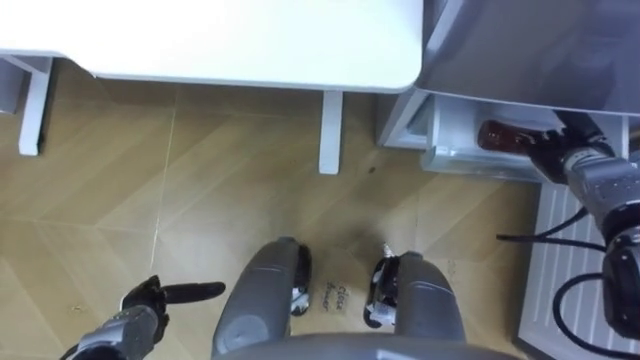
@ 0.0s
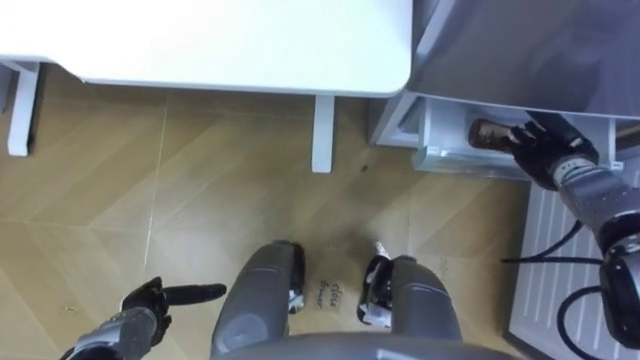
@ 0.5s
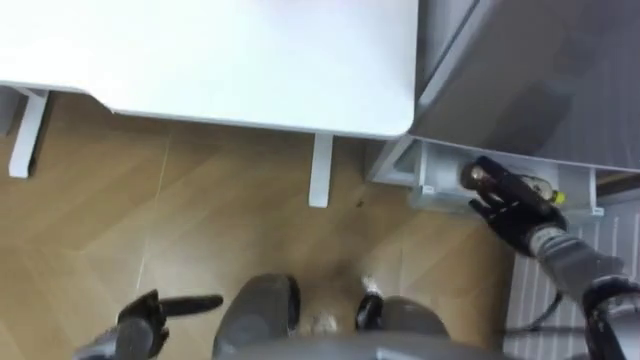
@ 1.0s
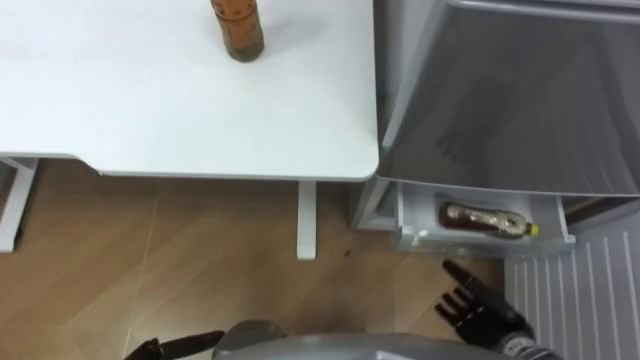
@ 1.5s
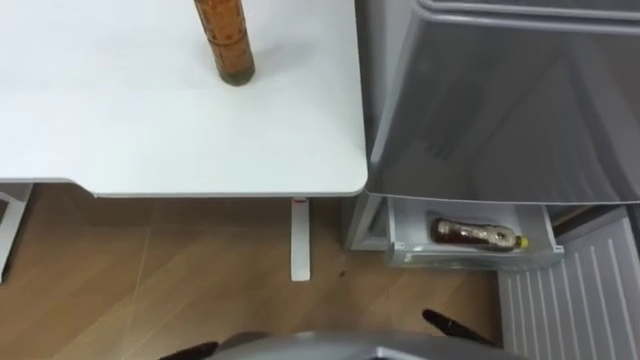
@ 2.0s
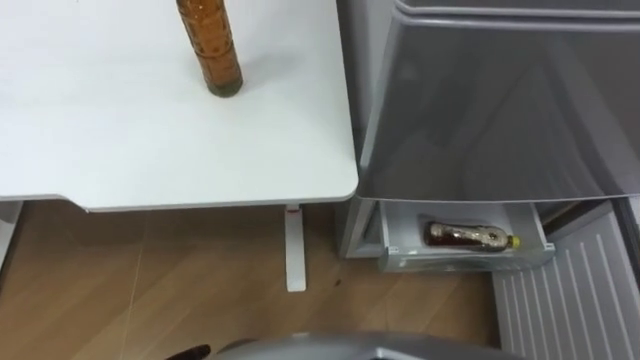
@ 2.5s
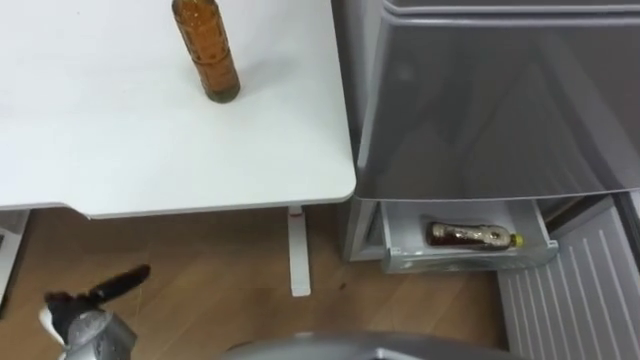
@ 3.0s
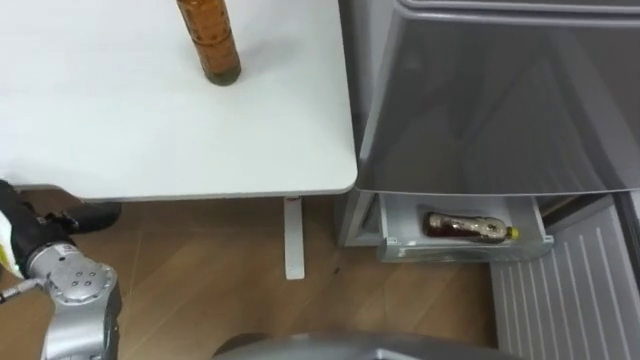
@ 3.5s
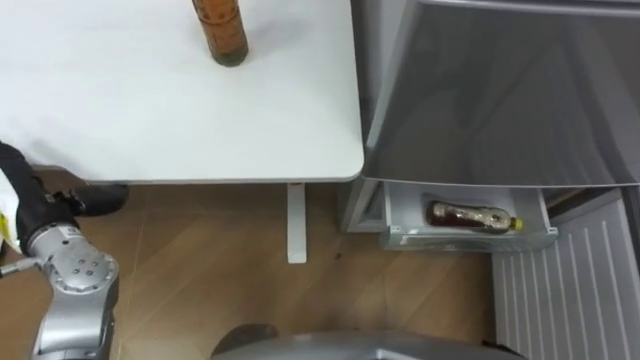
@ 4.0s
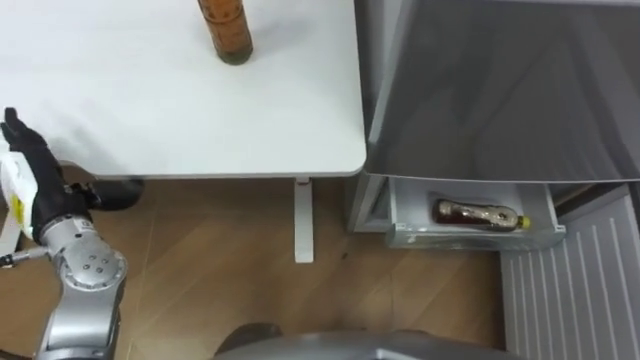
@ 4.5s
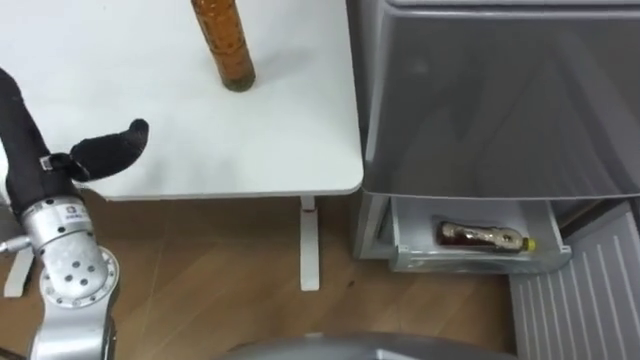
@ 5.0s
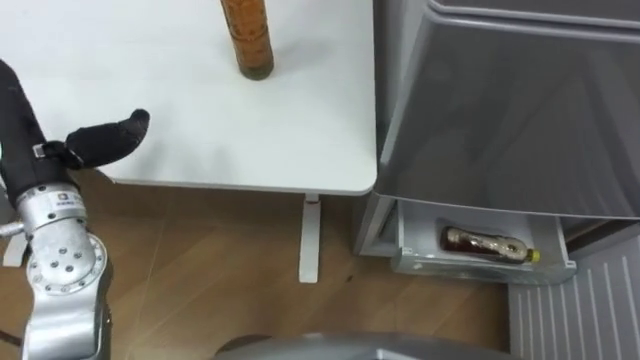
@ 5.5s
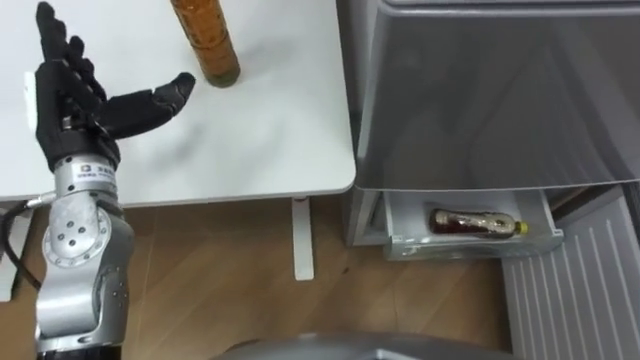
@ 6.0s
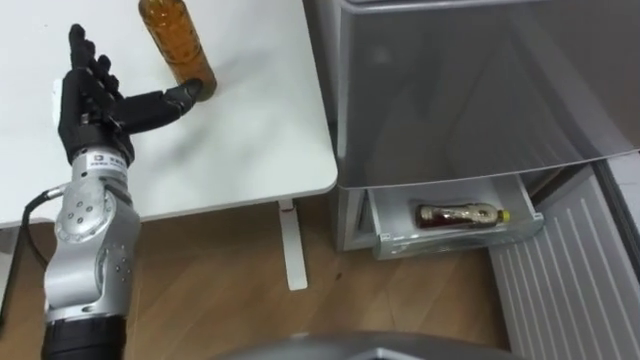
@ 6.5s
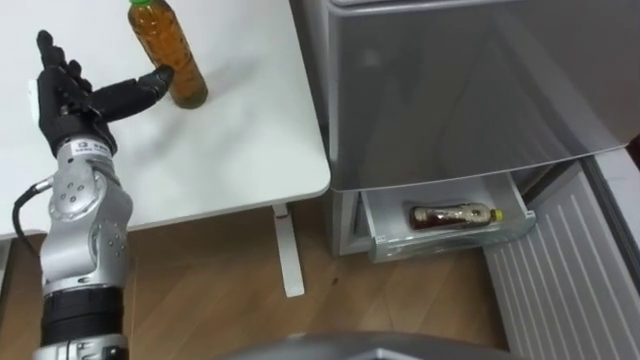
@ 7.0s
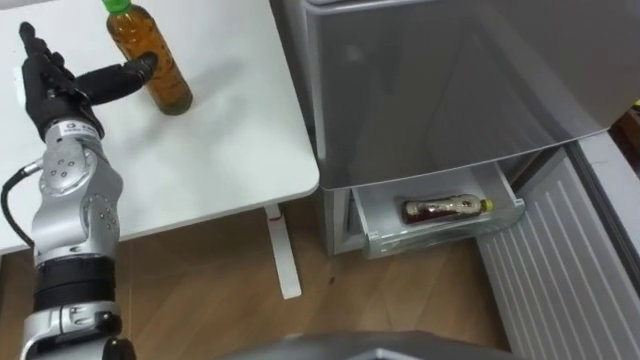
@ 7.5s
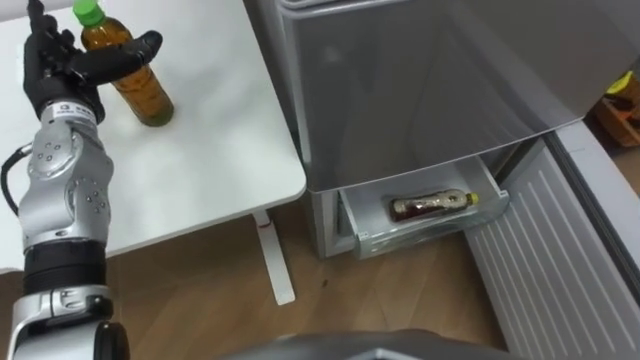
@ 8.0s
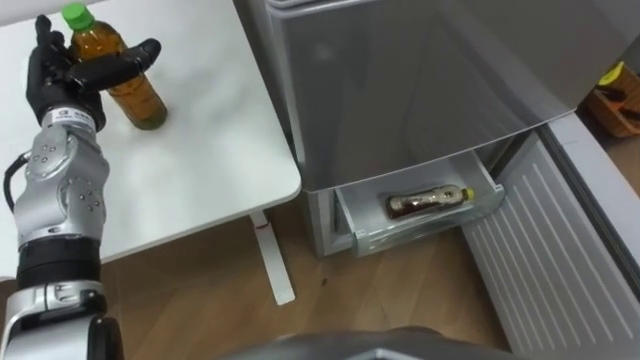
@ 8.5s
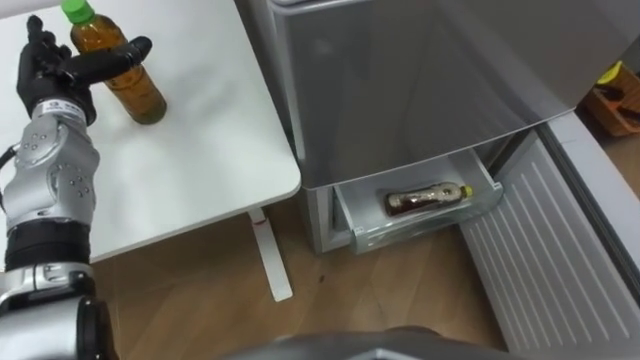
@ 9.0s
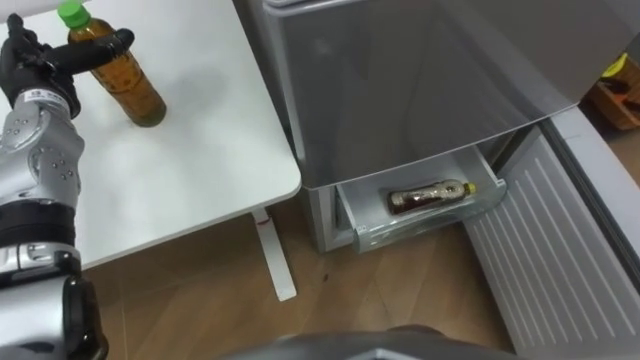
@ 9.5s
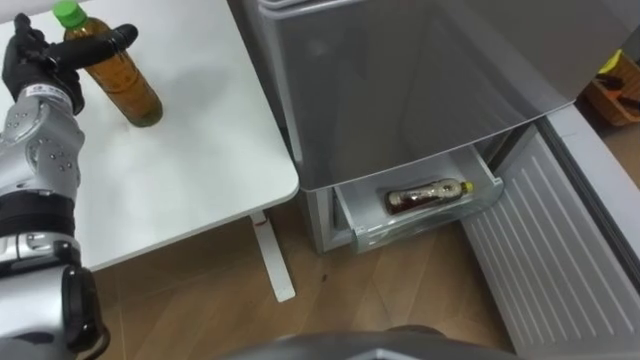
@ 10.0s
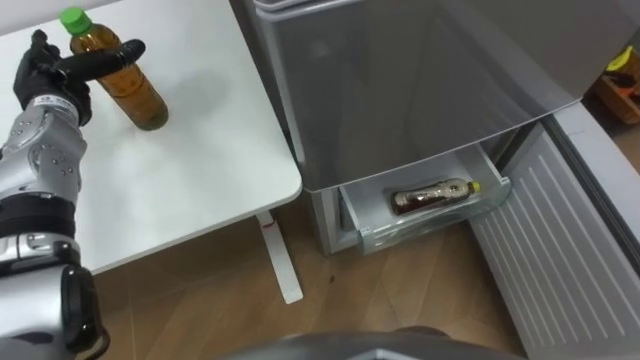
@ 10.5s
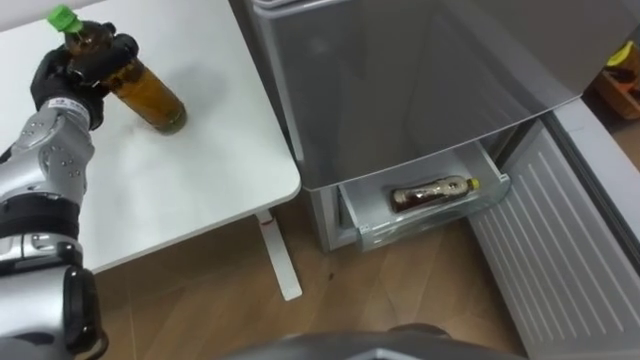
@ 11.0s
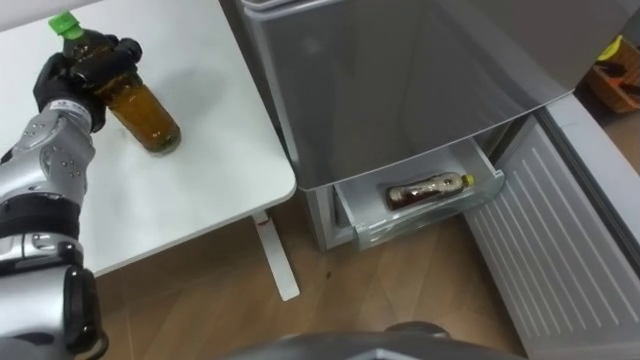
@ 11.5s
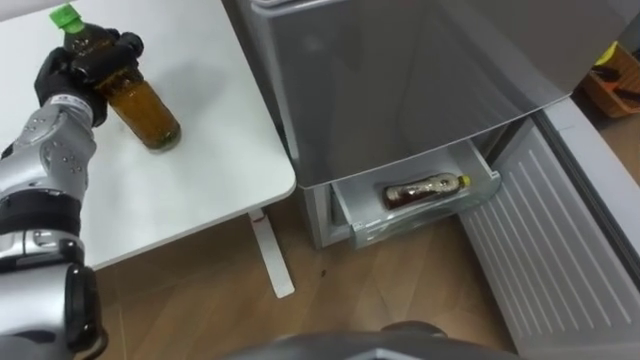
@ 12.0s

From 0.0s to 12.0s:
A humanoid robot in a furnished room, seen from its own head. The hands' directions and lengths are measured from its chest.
Task of the whole recording: Place the drink on the table on the bottom shelf of the refrigerator, then close the drawer and the refrigerator door.
From 4.0s to 6.0s: The left hand shifts roughly 15 cm upward, to the right and forward.
From 6.0s to 8.0s: The left hand heads forward, covering approximately 5 cm.
From 10.0s to 12.0s: The left hand closes its fingers.

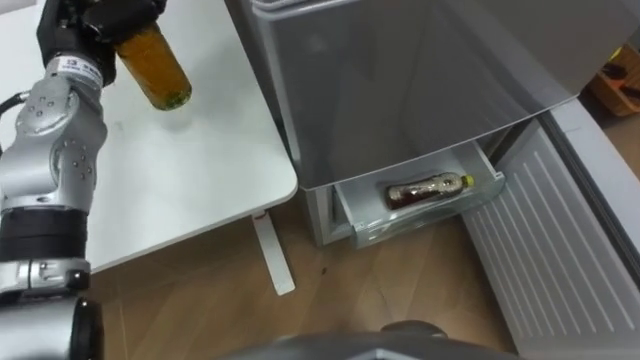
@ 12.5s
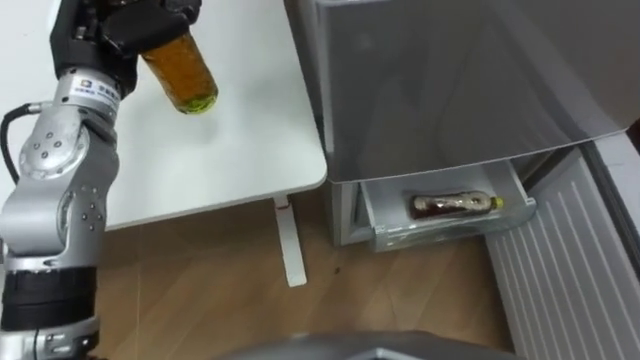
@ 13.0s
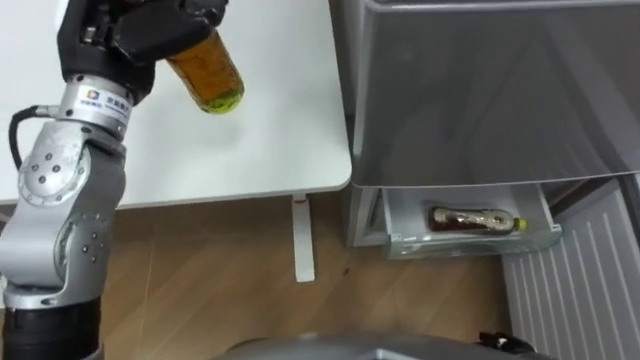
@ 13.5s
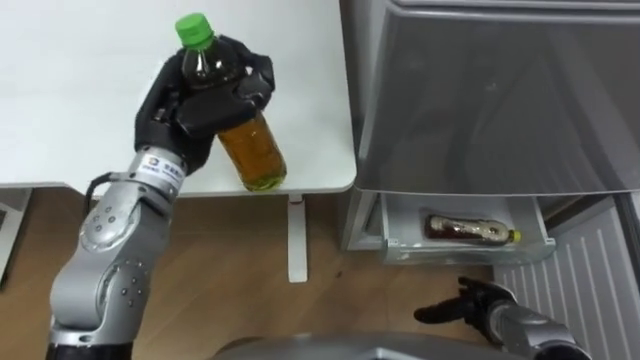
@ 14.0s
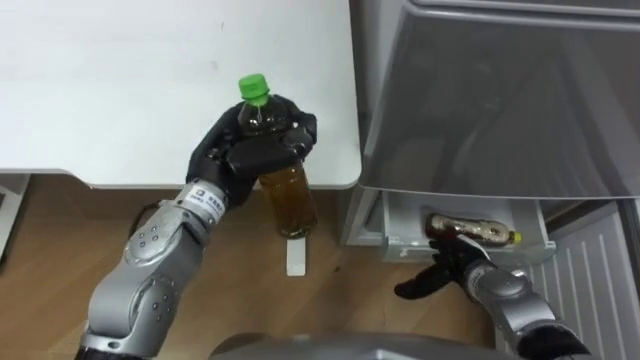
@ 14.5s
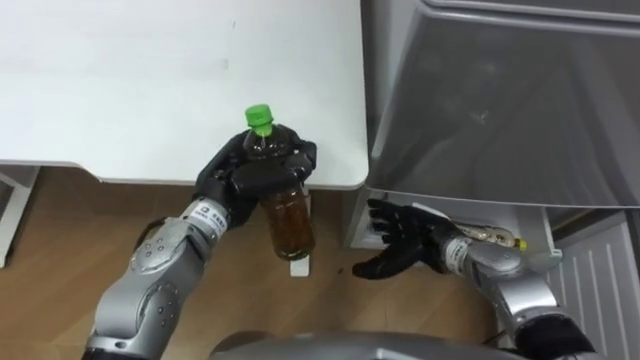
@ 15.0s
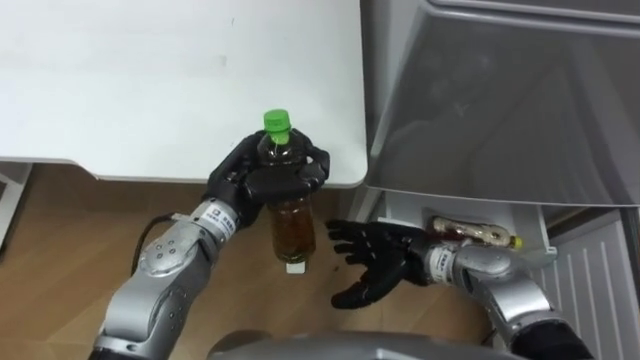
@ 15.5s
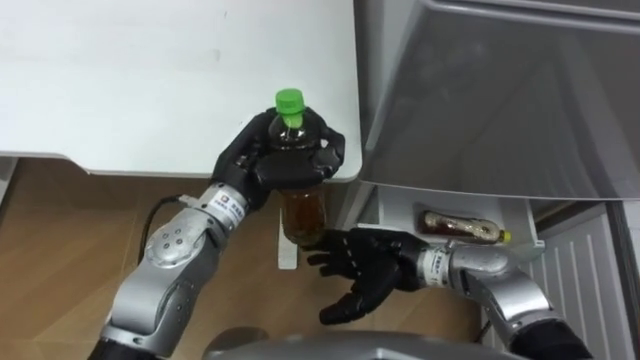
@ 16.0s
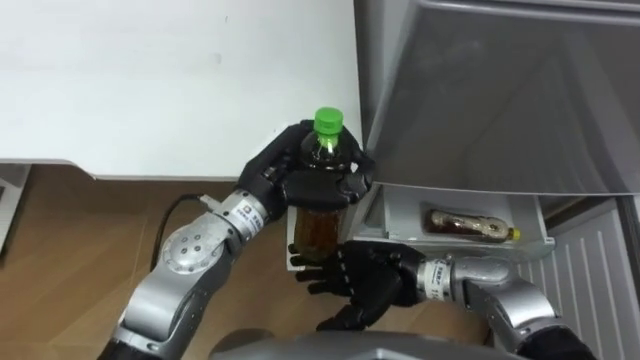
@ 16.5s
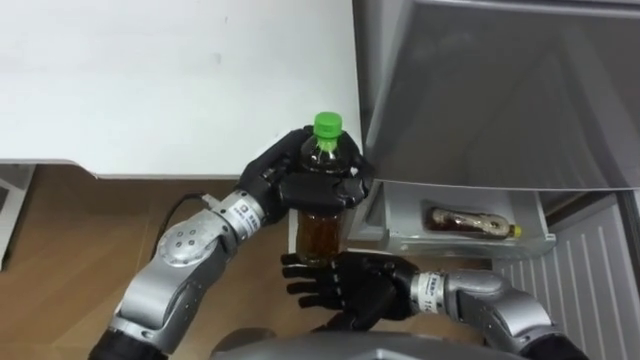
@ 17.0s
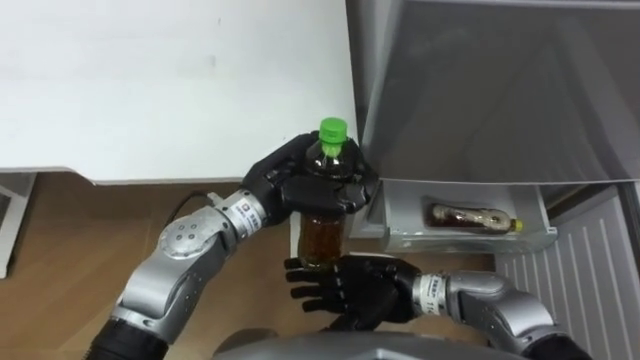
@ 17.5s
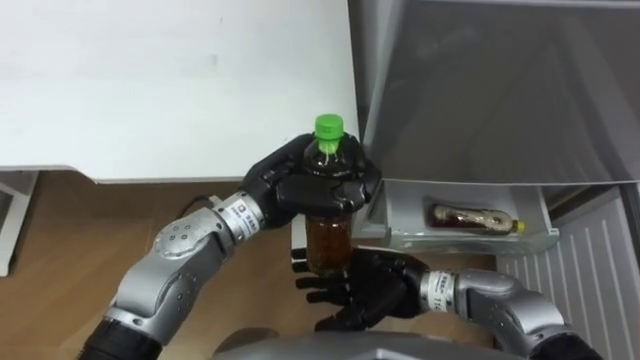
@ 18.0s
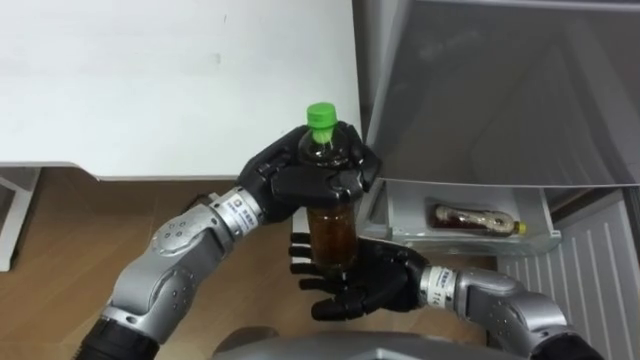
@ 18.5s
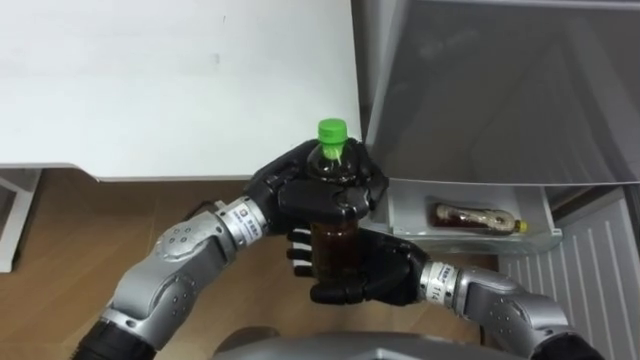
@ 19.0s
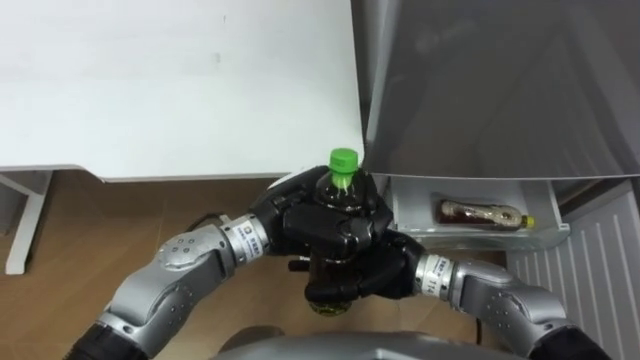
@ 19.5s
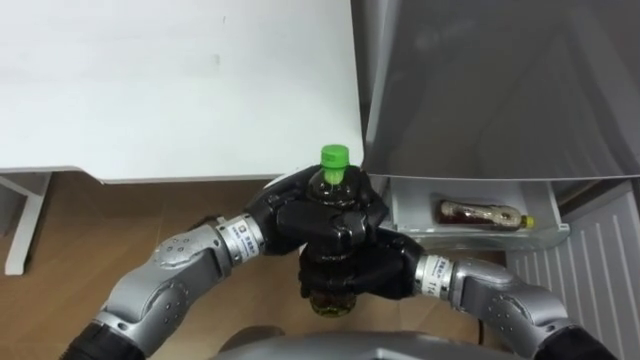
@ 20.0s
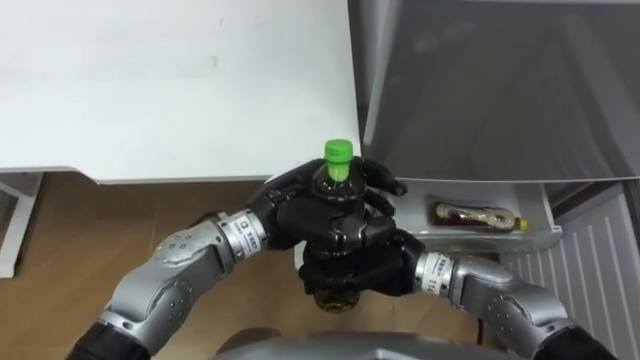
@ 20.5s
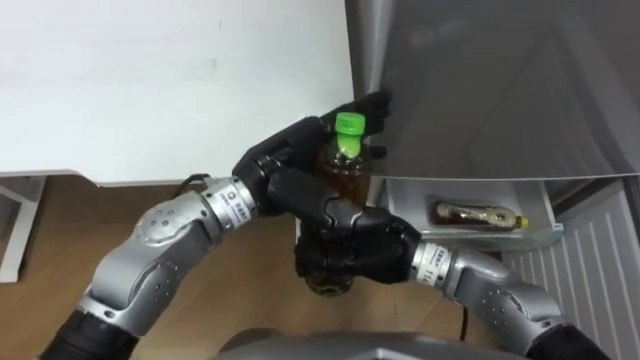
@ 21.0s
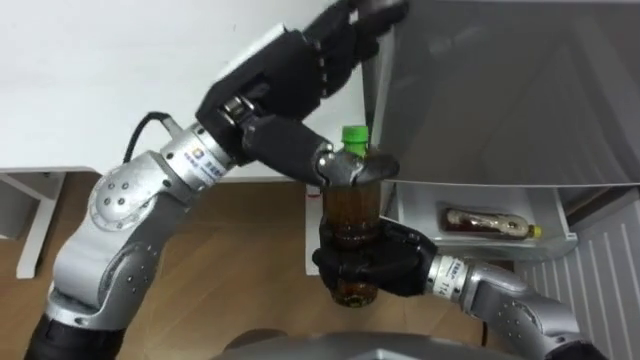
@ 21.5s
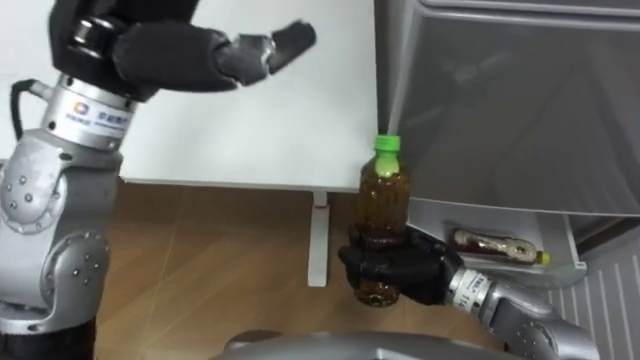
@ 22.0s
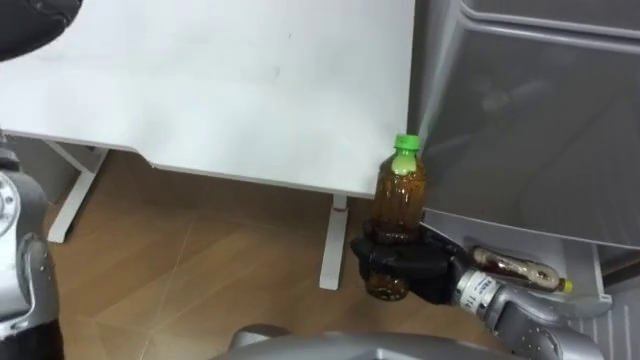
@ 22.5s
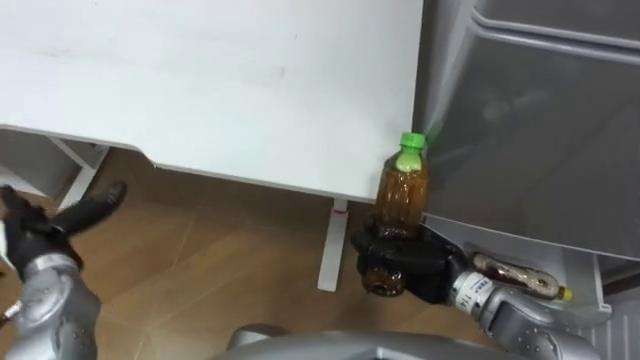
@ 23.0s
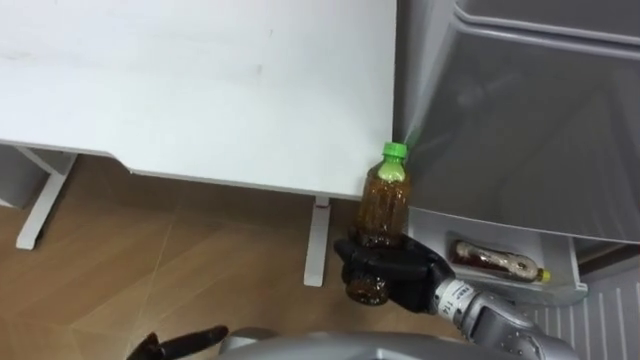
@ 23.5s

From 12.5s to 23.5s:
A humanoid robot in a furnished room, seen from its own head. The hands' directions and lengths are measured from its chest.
Task of the whole recording: Place the drink on the table on the bottom shelf of the refrigerator, then close the drawer and the refrigerator door.
From 12.5s to 14.5s: The left hand is displaced to the right, backward and downward by about 20 cm.
From 14.5s to 16.0s: The right hand shifts about 15 cm to the left and upward.
From 18.0s to 20.0s: The right hand closes.
From 20.0s to 21.5s: The left hand moves upward, roughly 15 cm, and opens.
From 21.5s to 23.5s: The right hand shifts by roughly 5 cm.
